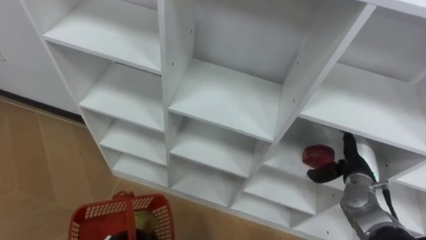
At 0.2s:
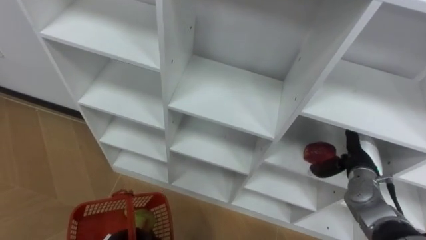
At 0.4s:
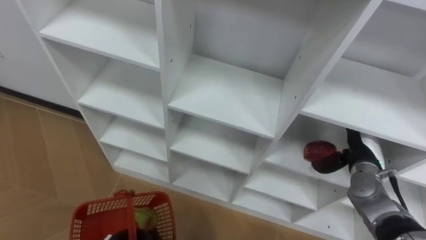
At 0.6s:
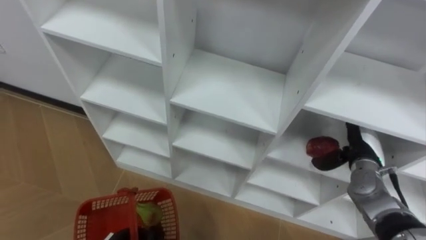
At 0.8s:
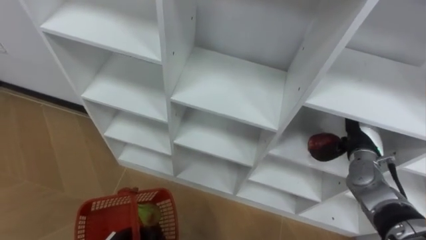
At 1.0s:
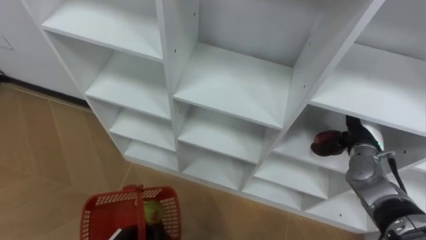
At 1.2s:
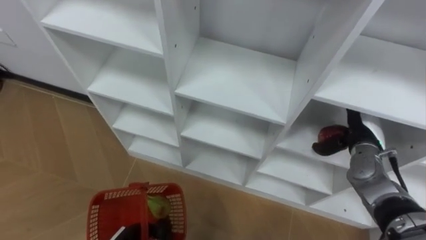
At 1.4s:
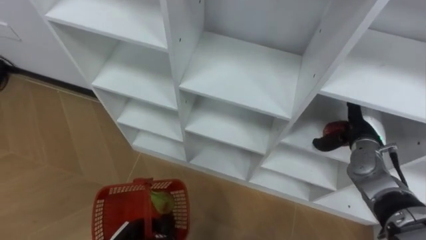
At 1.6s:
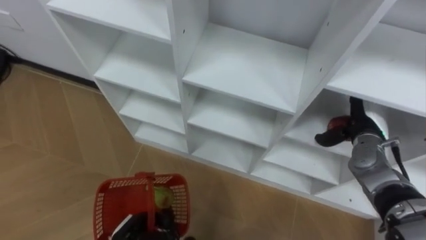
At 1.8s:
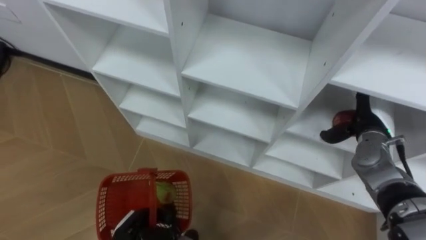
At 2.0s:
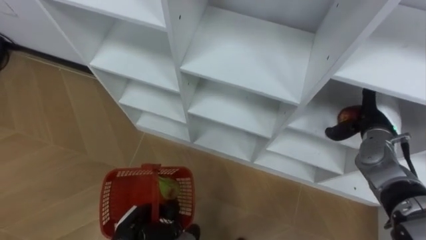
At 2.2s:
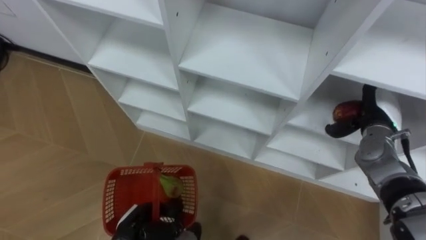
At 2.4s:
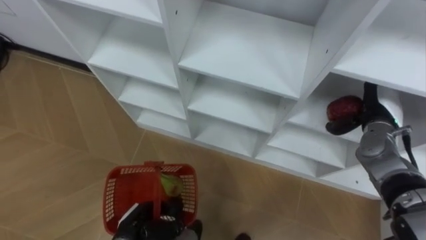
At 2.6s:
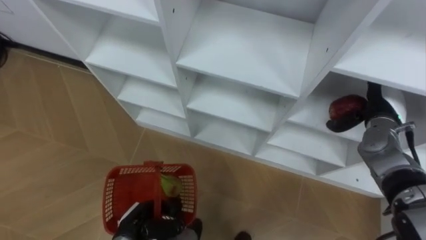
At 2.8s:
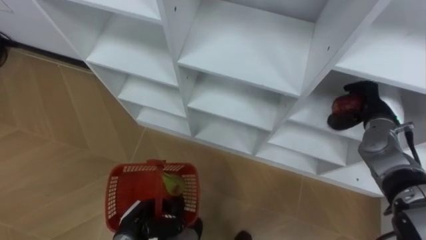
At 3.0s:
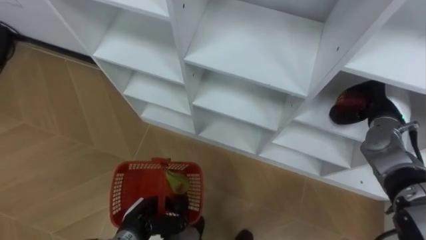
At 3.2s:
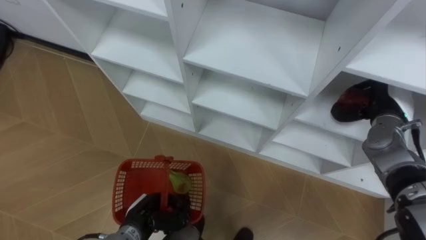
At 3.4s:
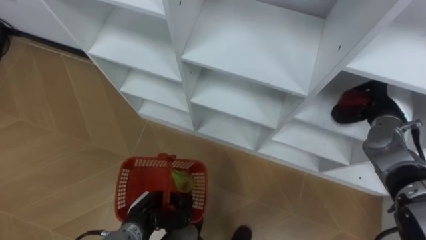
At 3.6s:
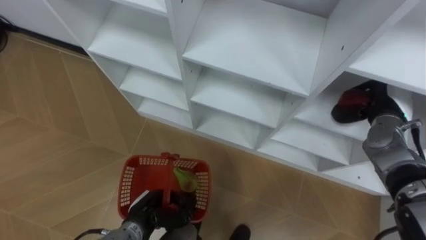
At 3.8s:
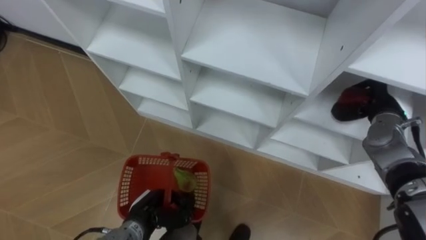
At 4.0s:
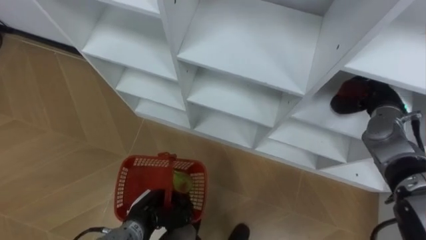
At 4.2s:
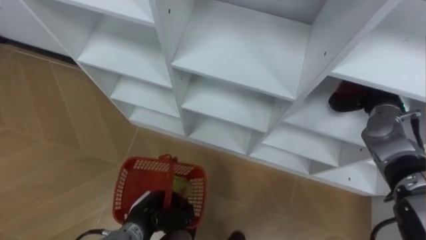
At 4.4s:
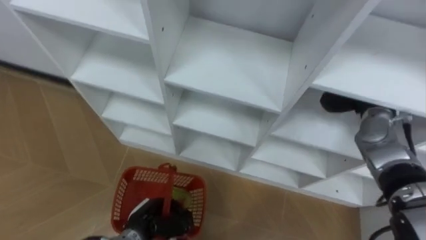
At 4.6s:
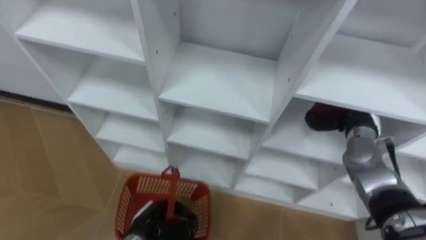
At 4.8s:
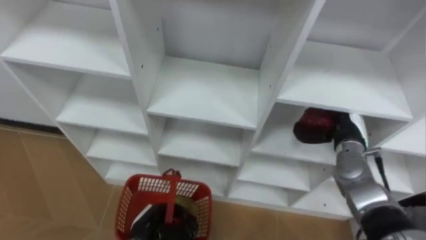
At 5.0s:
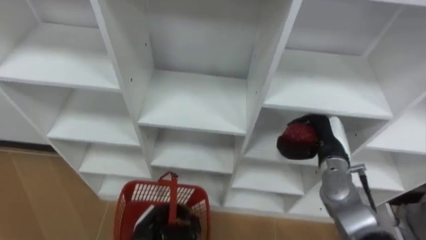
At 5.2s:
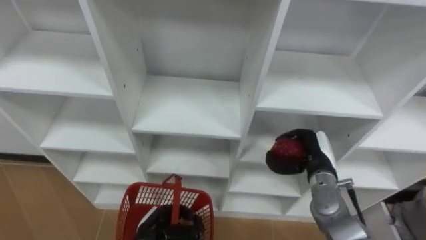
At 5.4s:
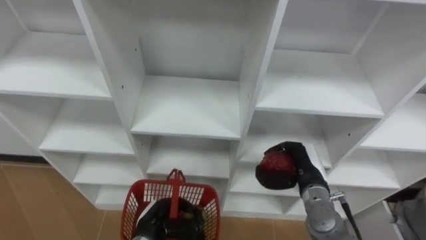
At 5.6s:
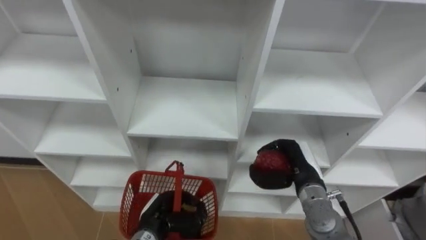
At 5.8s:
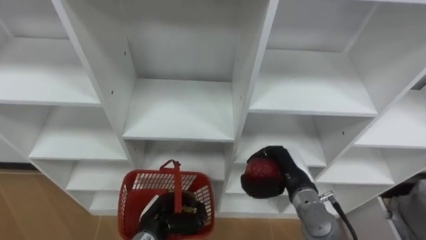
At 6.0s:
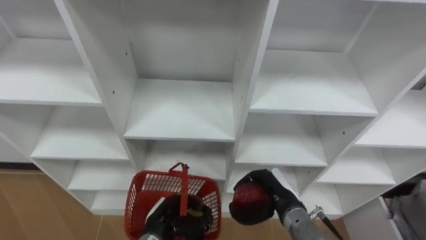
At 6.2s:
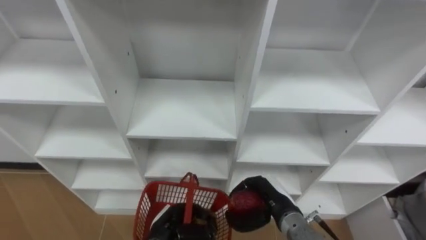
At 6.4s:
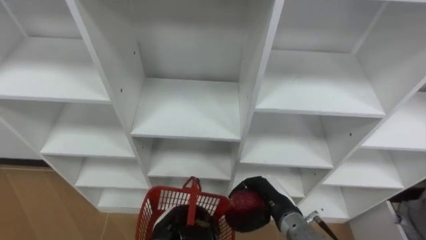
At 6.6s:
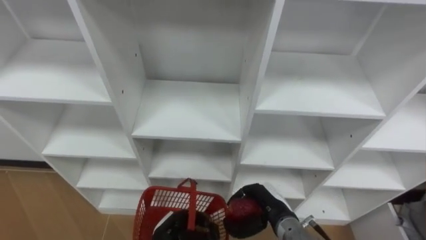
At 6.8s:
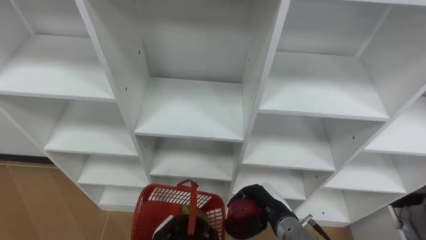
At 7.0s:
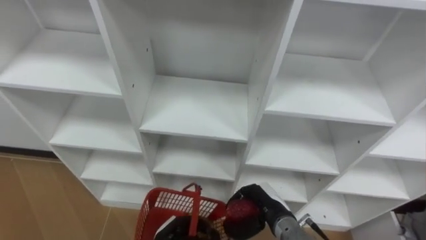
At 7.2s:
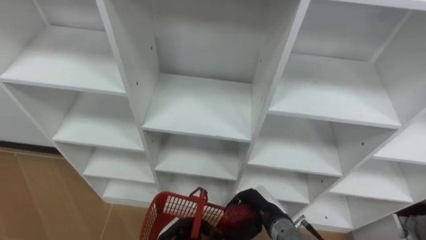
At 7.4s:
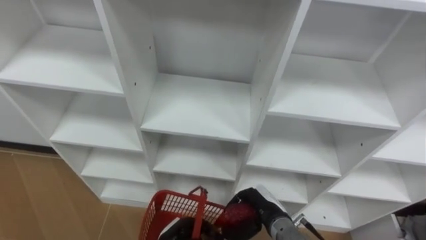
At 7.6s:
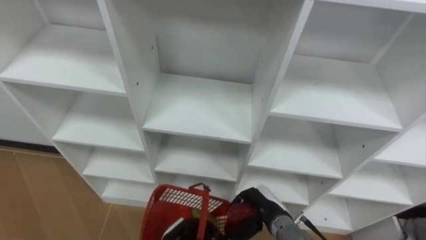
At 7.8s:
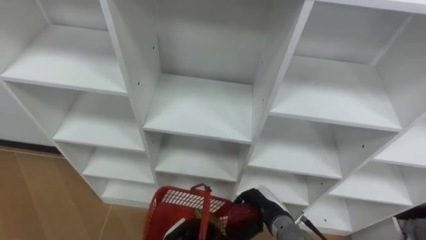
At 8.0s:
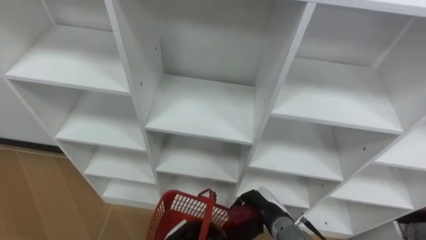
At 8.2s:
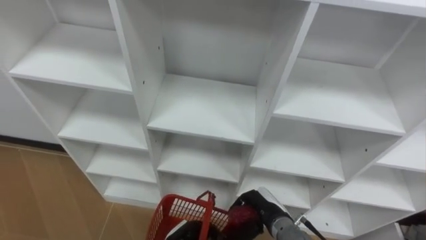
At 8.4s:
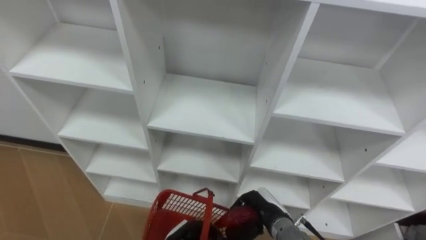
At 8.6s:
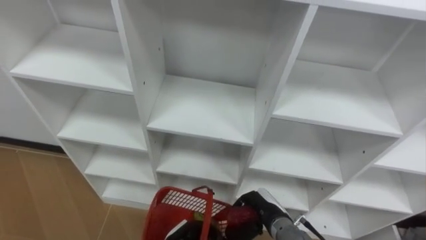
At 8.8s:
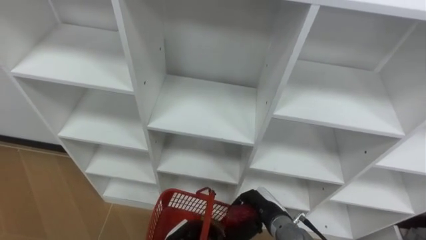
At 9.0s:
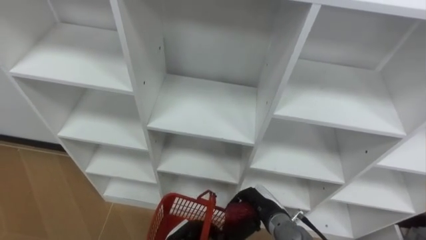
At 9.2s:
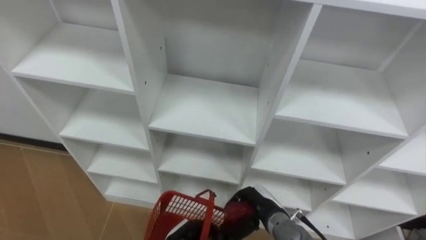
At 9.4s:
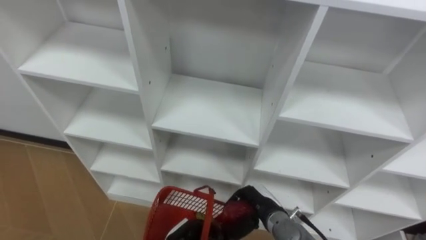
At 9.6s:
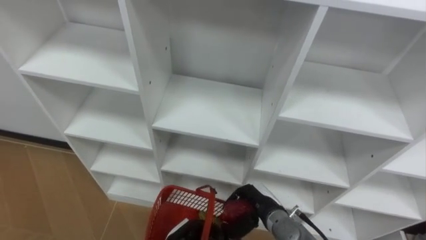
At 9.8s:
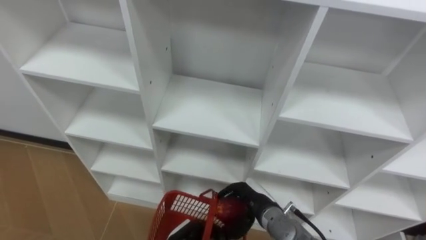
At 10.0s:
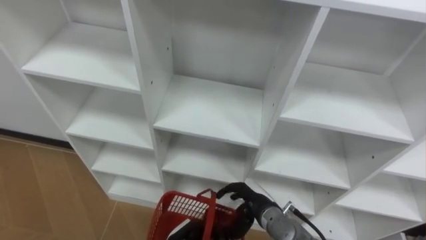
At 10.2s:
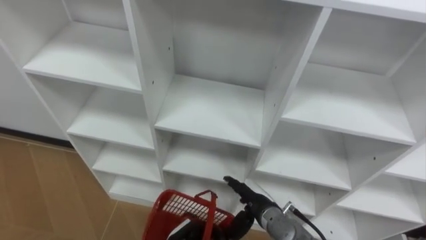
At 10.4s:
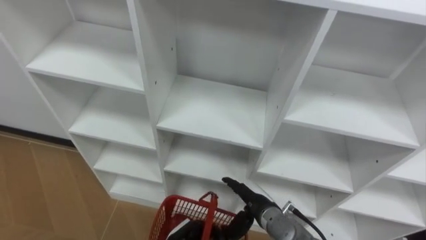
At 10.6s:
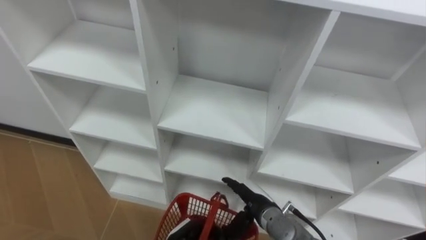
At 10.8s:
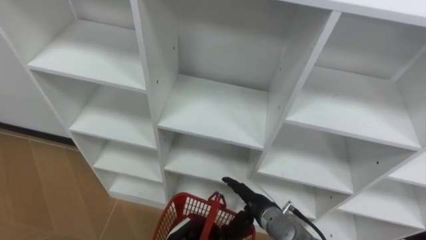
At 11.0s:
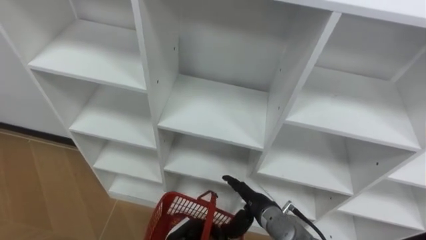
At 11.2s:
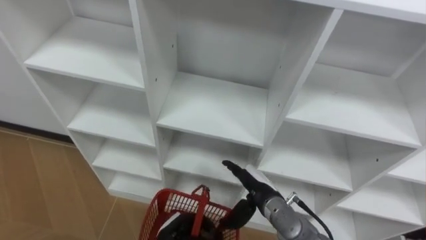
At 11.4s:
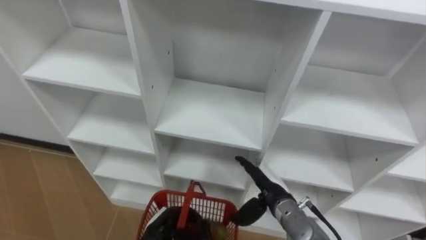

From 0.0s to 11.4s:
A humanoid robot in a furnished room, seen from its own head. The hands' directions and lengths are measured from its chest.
Task of the whole recording: Hold the basket and collect the fruits from 3 different cells of the closet into it.
From 0.0s to 1.4s: The right hand travels forward and upward by about 5 cm.
From 1.4s to 2.8s: The right hand ends up about 5 cm from where it was.
From 2.8s to 4.2s: The right hand closes its fingers.
From 4.2s to 5.6s: The right hand travels to the left, backward and downward by approximately 20 cm.
From 5.6s to 7.2s: The right hand moves downward, to the left and backward, approximately 10 cm. Meanwhile the left hand moves roughly 5 cm.
From 8.6s to 10.0s: The right hand opens.

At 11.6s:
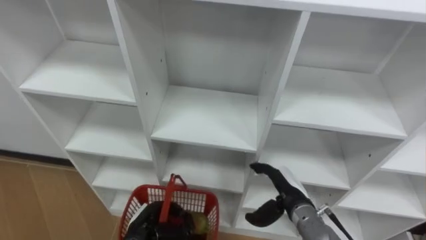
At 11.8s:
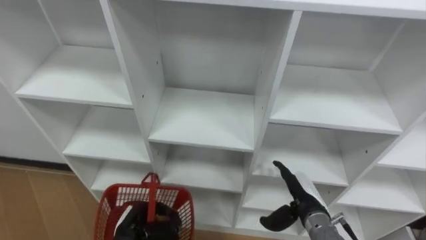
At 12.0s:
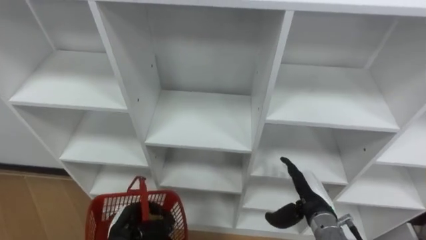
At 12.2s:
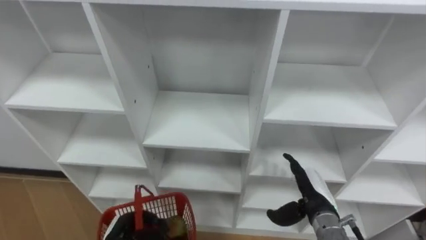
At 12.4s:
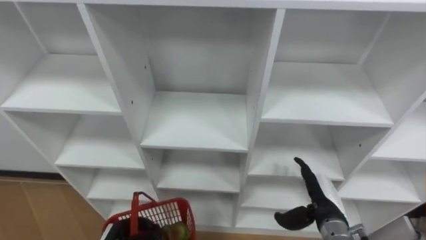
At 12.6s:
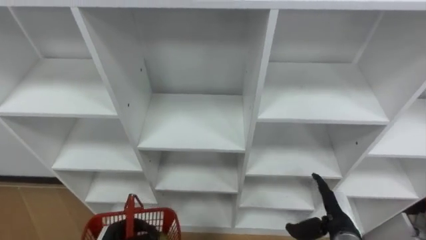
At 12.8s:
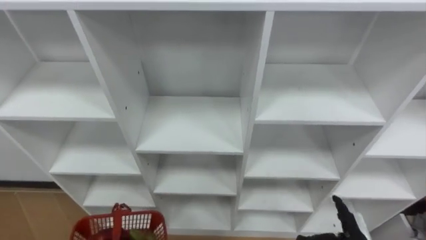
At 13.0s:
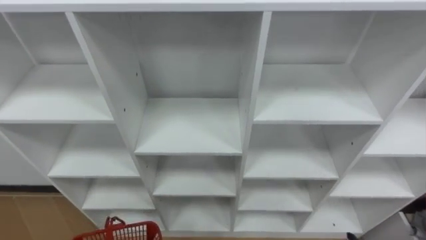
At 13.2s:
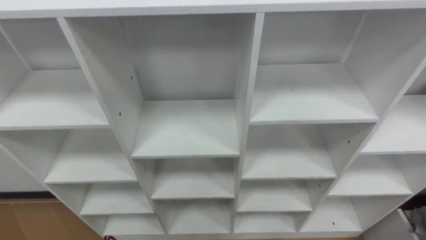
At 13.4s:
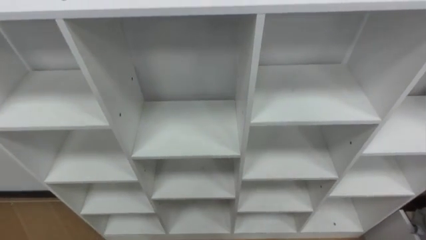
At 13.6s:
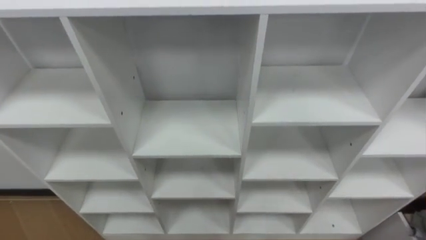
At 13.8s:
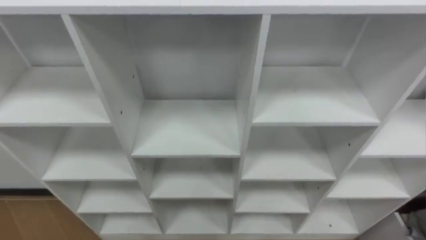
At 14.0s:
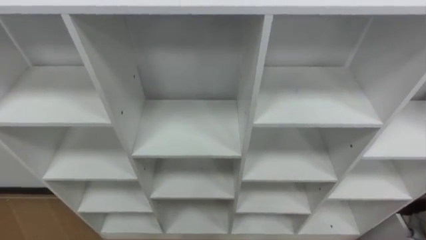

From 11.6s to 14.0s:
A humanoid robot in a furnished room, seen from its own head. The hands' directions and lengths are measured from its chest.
Task of the whole recording: Hold the basket and collect the fruits from 3 different cells of the closet into it.
From 11.6s to 12.8s: The right hand goes about 15 cm to the right and backward.

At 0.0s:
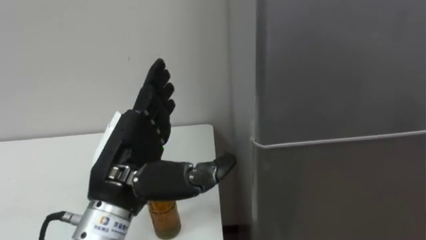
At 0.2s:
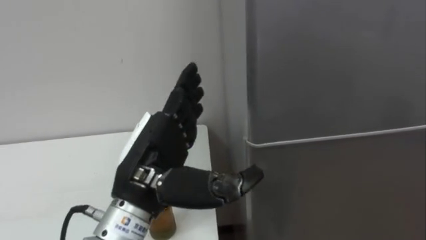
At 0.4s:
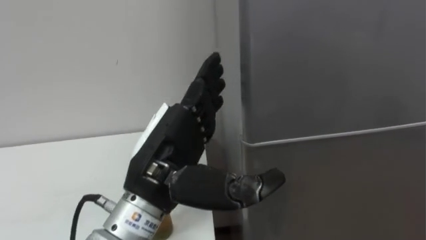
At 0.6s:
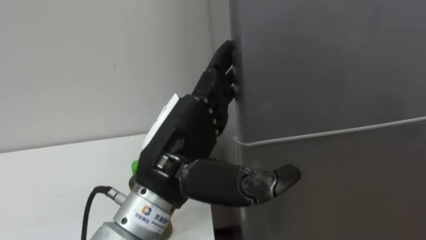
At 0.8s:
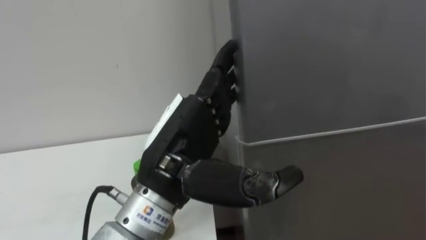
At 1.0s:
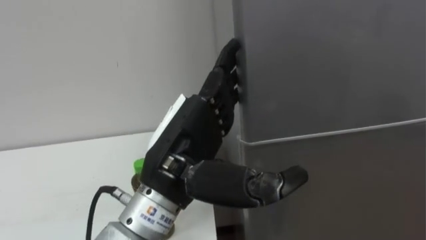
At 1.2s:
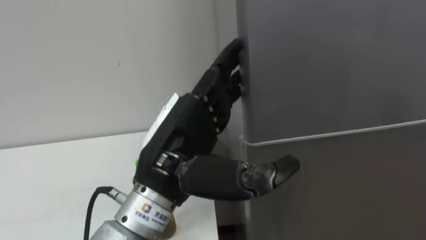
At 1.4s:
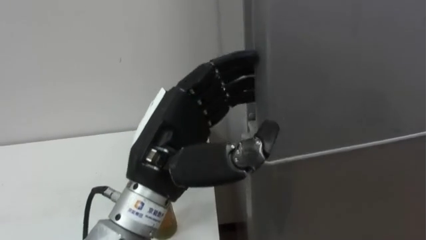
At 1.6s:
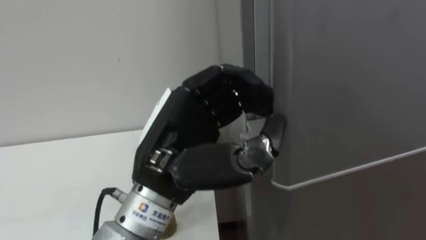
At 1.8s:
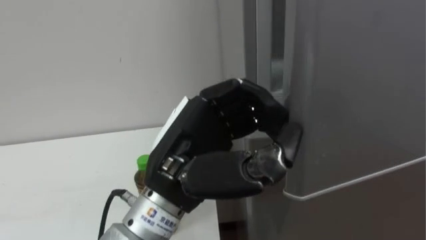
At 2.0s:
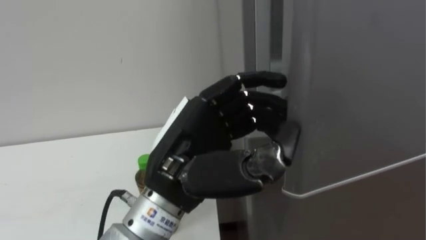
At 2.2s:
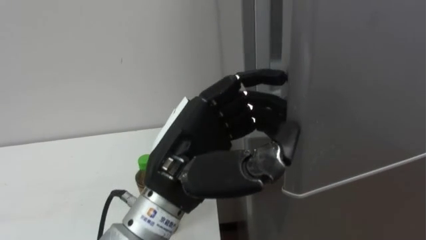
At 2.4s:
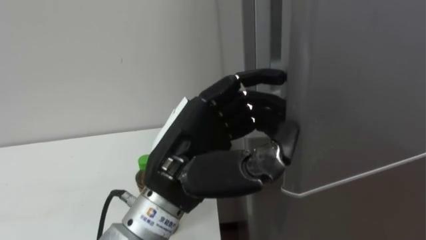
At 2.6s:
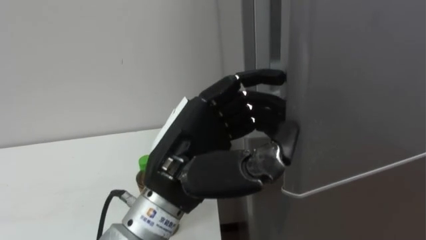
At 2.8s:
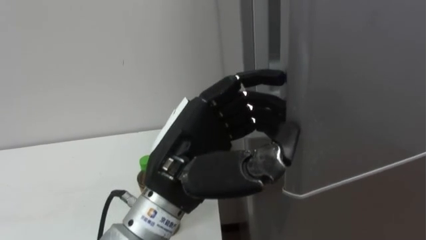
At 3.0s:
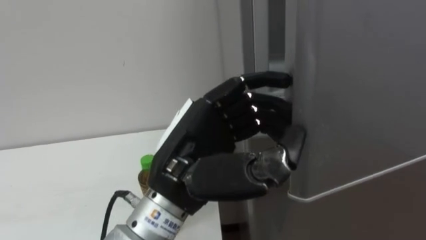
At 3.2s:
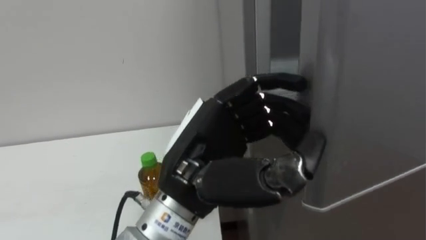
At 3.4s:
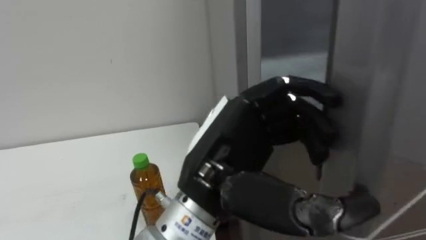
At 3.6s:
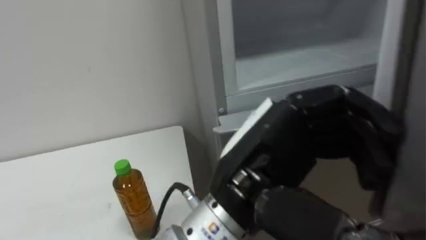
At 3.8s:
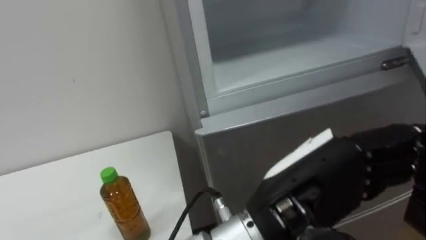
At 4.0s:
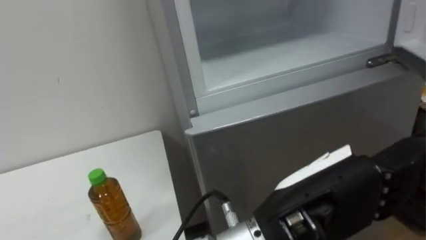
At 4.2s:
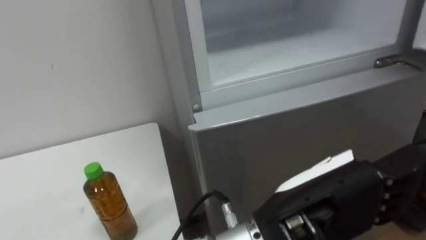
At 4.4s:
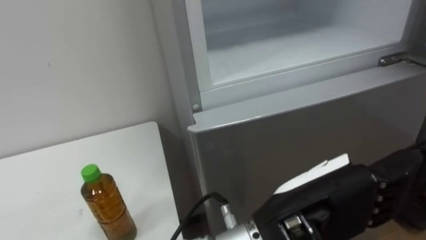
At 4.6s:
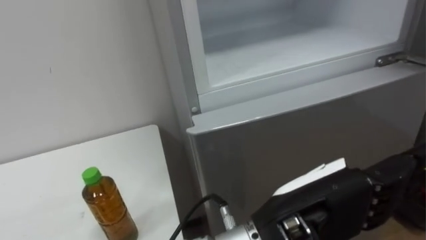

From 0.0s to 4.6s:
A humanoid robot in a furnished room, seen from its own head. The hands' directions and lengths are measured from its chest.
Task of the whole recording: Open the upper refrigerator door, put the drink from the table into the refrigerator, and then close the refrigerator door.
From 0.0s to 1.6s: The left hand is displaced to the right by roughly 5 cm, and closes up.
From 1.6s to 3.0s: The left hand opens.
From 3.0s to 4.6s: The left hand goes roughly 15 cm to the right and backward.
